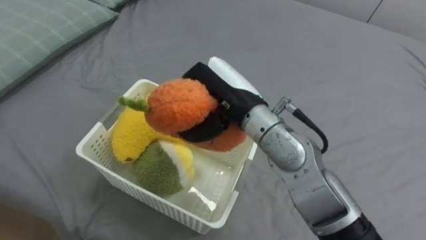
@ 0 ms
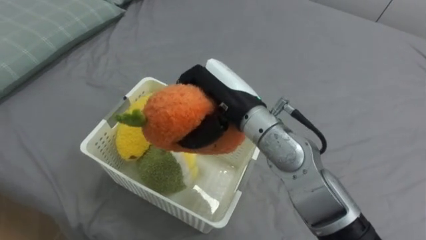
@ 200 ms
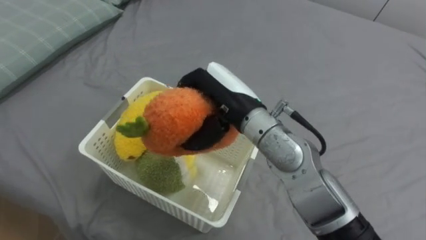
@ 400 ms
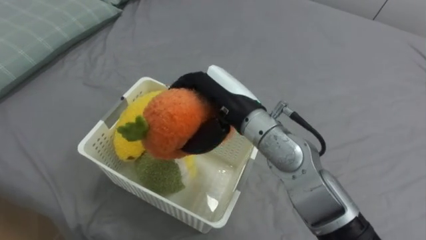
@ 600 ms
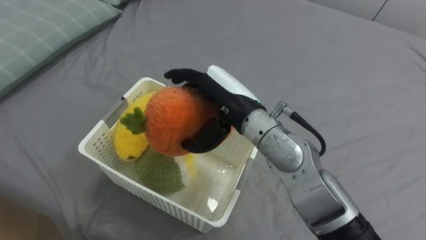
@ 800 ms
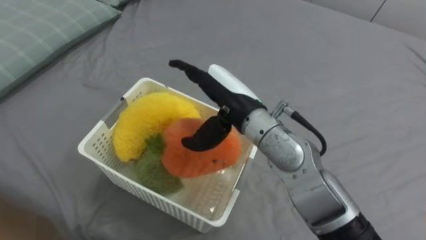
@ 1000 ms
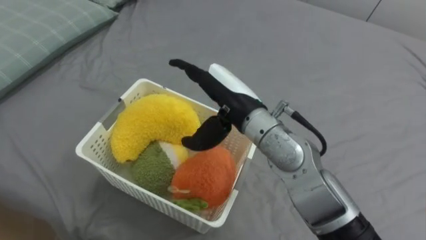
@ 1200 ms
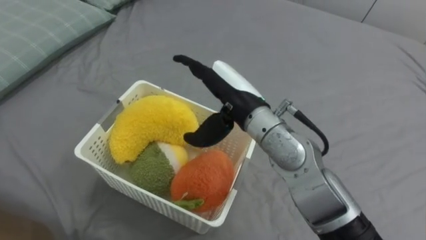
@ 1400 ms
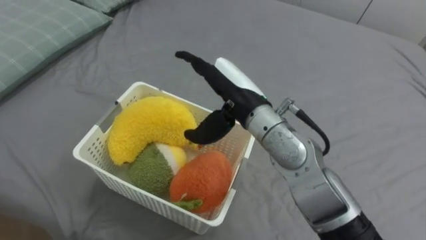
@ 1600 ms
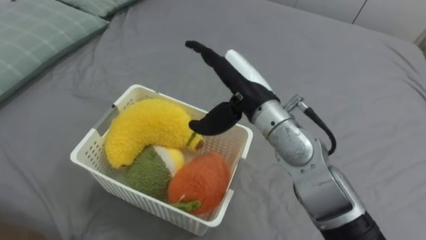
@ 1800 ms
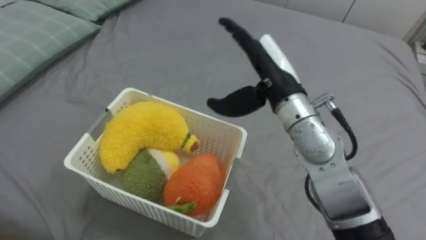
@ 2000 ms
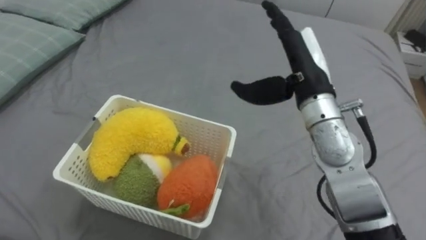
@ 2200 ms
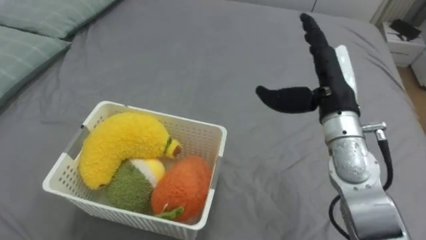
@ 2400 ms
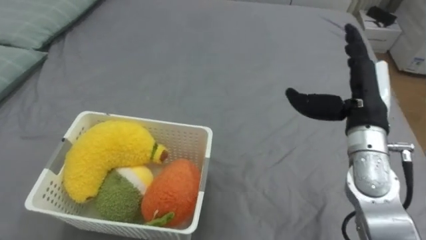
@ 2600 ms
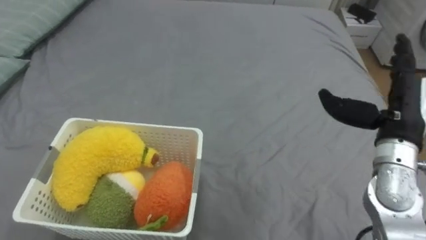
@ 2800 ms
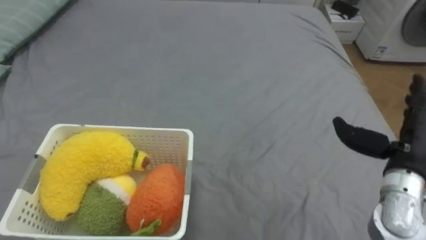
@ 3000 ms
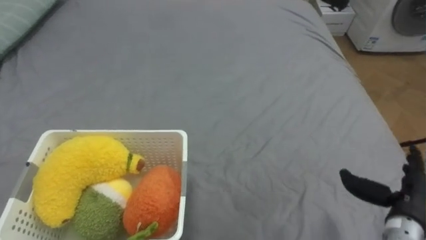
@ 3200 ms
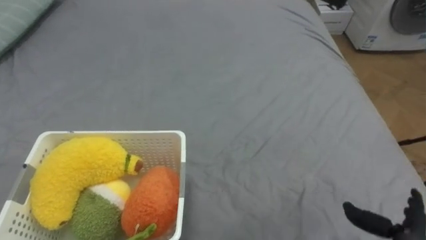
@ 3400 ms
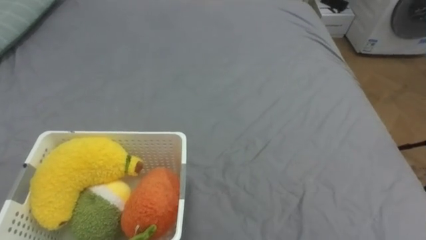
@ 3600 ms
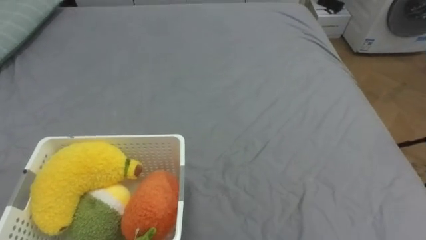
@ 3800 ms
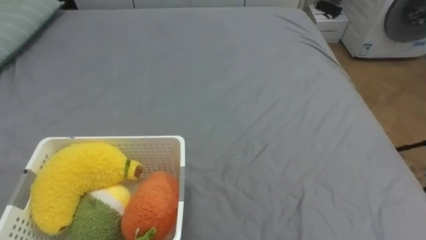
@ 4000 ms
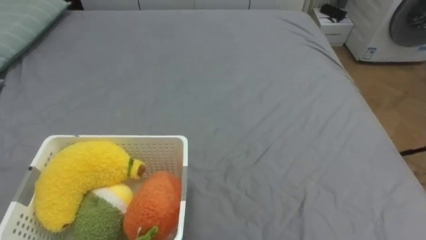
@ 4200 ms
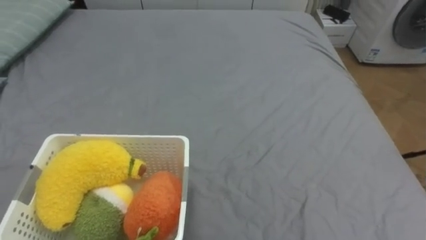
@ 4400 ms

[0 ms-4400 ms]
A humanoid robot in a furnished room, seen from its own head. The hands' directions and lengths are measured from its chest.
Task of the whole recording: Put the toys on the bed into the basket on the left.
0 ms to 1400 ms: The right hand opens.
1400 ms to 3000 ms: The right hand goes some 30 cm to the right.

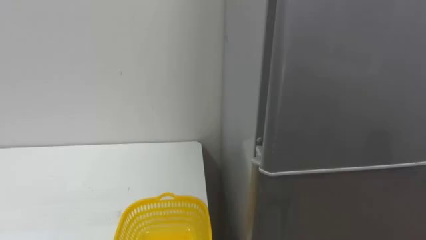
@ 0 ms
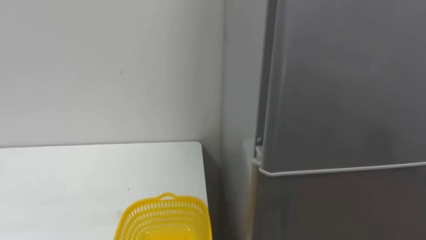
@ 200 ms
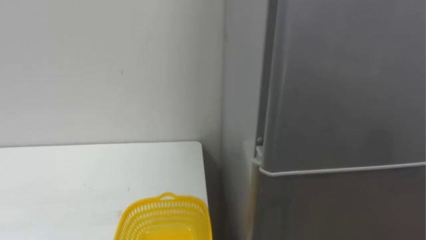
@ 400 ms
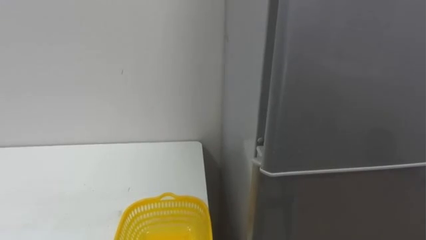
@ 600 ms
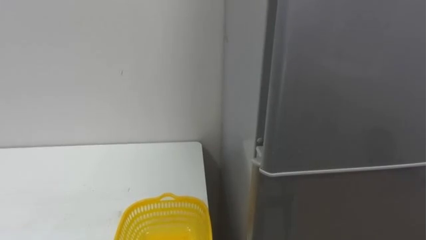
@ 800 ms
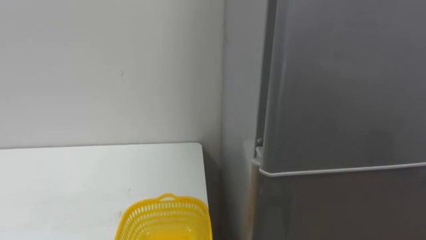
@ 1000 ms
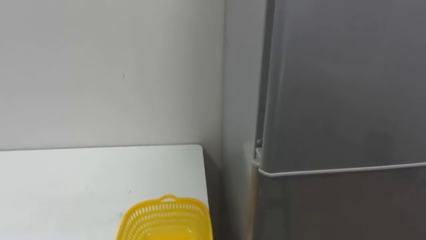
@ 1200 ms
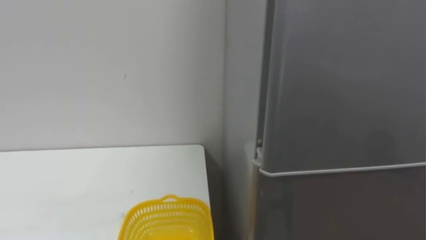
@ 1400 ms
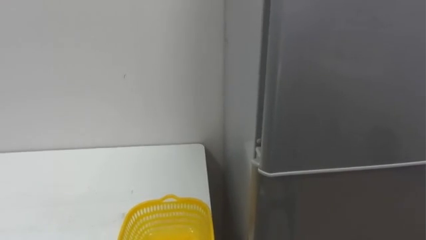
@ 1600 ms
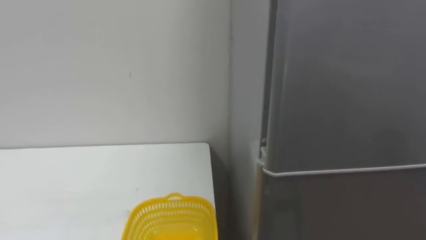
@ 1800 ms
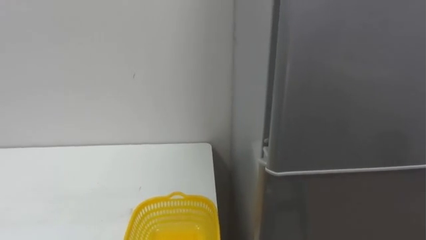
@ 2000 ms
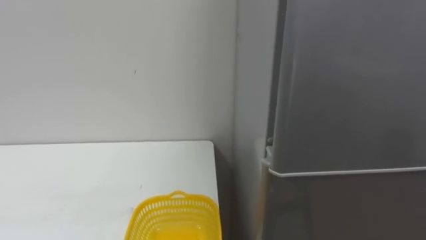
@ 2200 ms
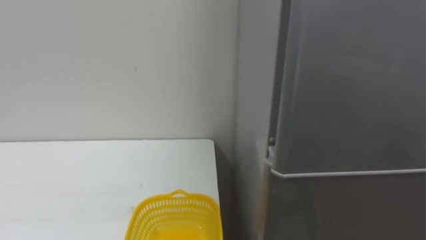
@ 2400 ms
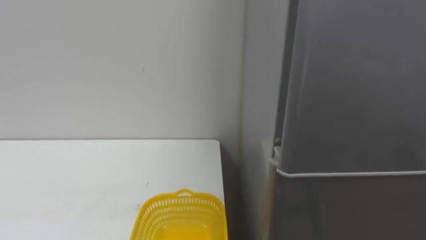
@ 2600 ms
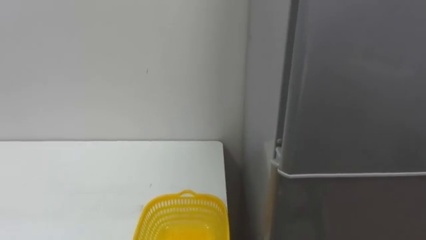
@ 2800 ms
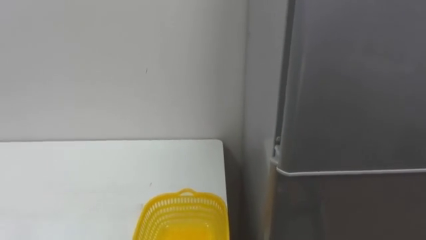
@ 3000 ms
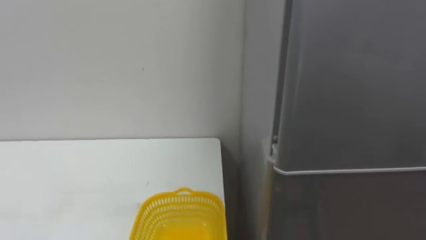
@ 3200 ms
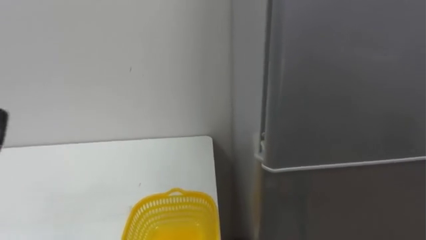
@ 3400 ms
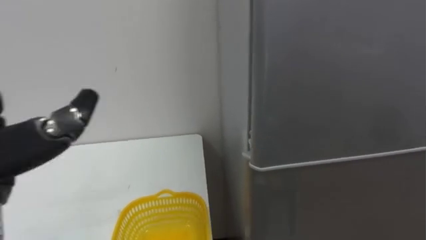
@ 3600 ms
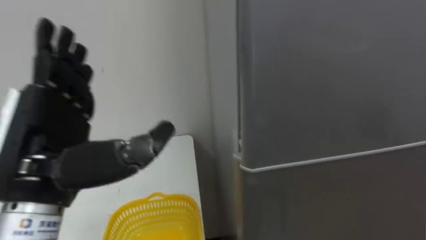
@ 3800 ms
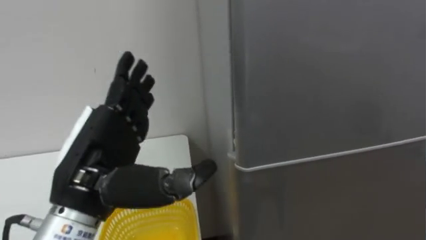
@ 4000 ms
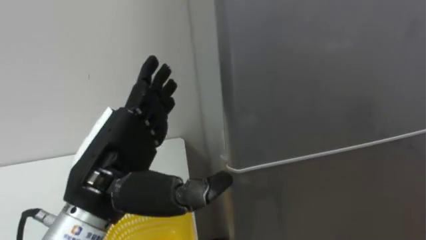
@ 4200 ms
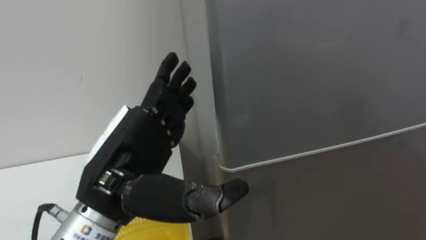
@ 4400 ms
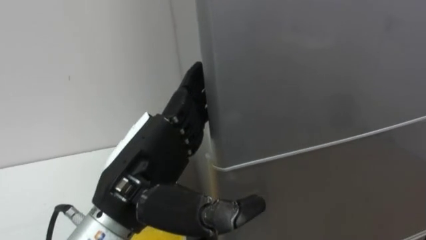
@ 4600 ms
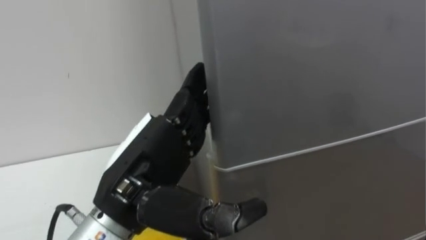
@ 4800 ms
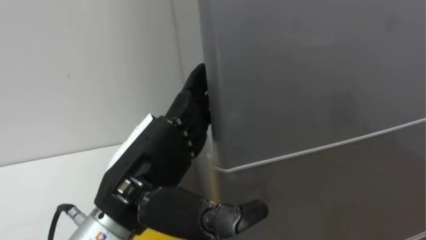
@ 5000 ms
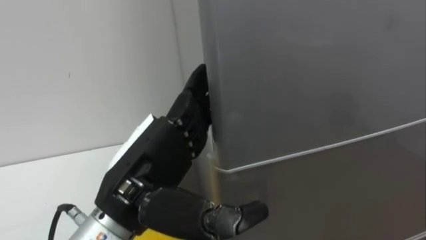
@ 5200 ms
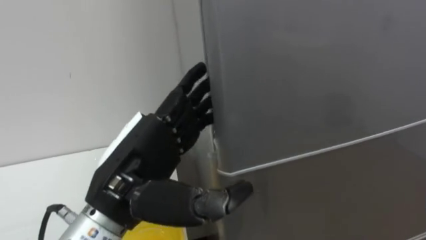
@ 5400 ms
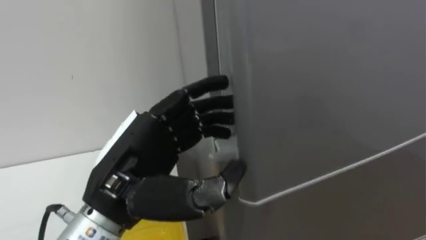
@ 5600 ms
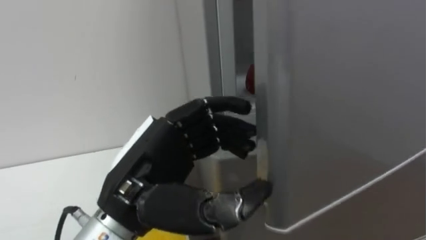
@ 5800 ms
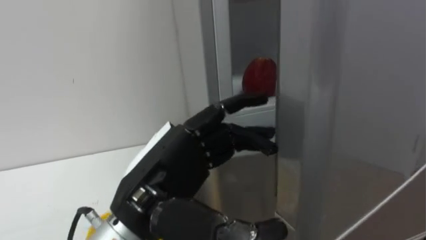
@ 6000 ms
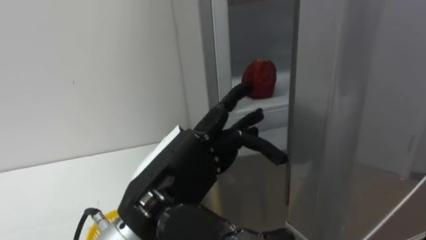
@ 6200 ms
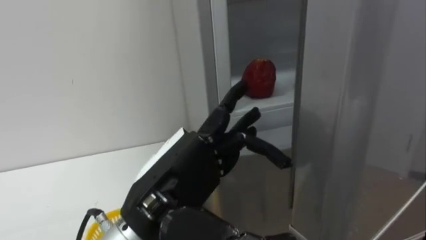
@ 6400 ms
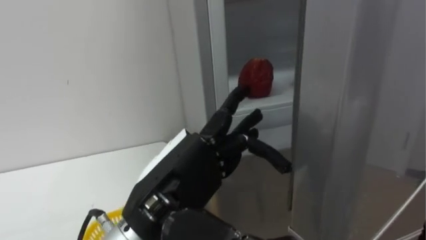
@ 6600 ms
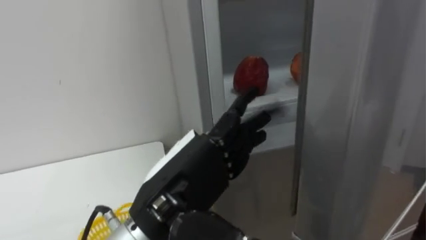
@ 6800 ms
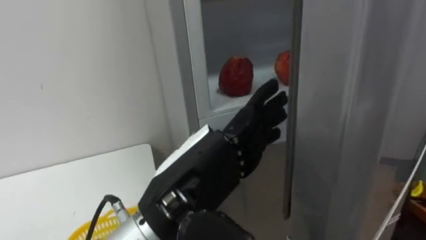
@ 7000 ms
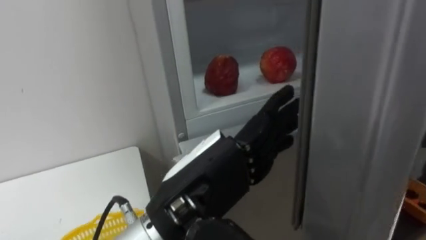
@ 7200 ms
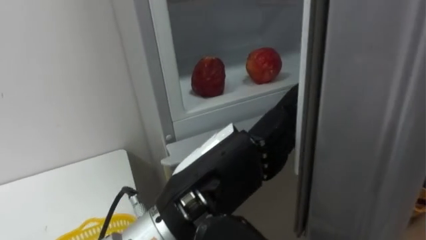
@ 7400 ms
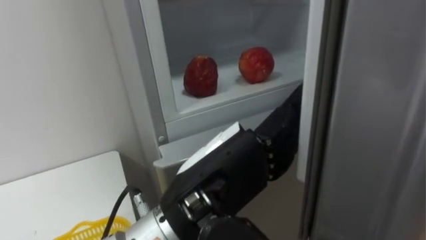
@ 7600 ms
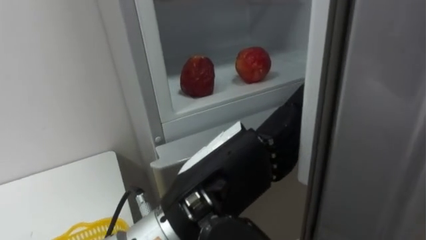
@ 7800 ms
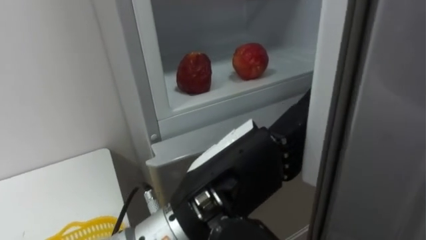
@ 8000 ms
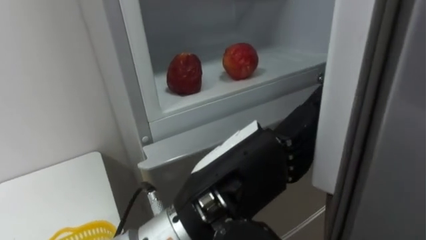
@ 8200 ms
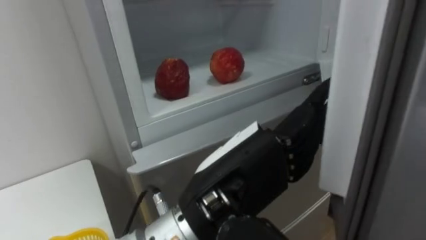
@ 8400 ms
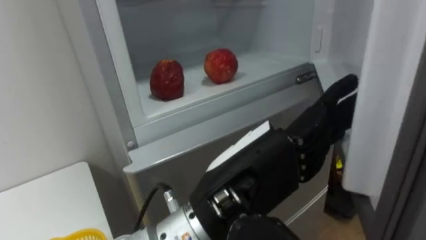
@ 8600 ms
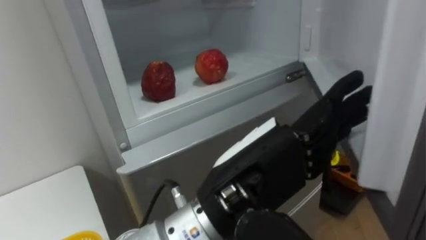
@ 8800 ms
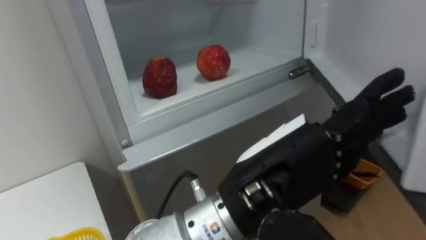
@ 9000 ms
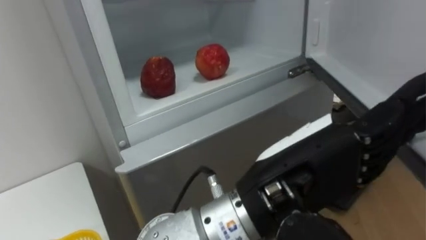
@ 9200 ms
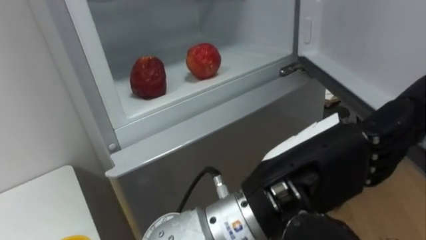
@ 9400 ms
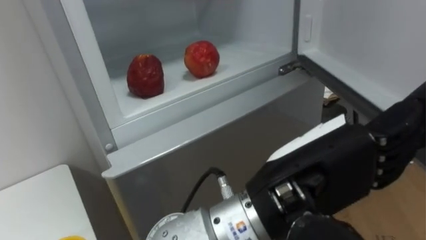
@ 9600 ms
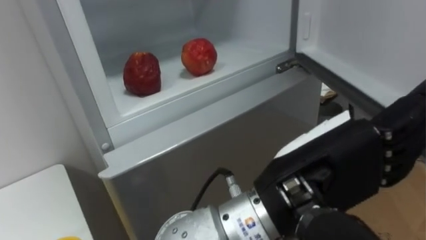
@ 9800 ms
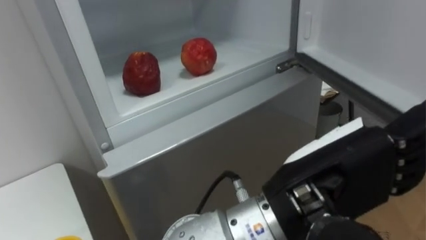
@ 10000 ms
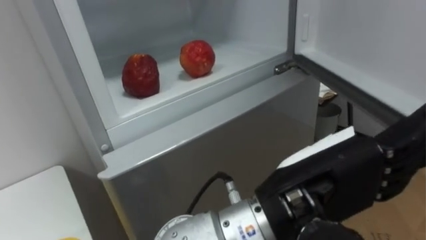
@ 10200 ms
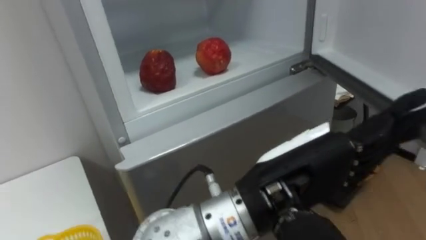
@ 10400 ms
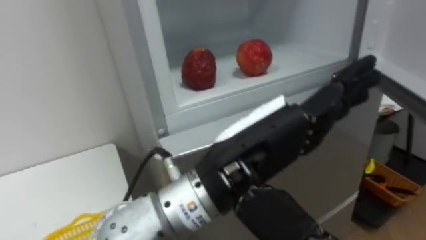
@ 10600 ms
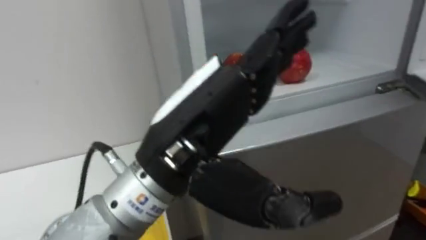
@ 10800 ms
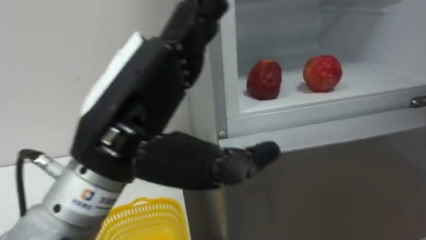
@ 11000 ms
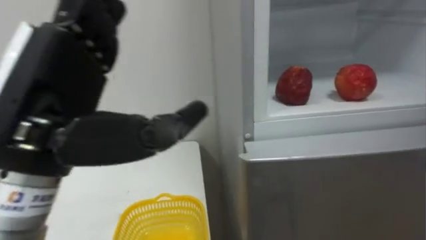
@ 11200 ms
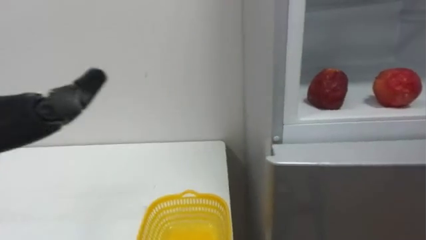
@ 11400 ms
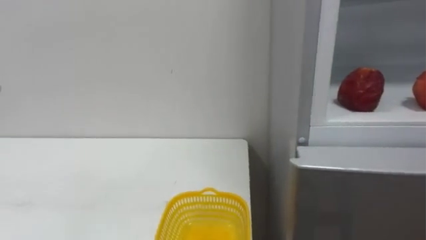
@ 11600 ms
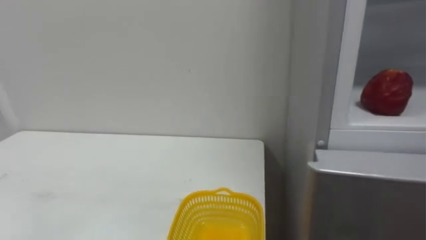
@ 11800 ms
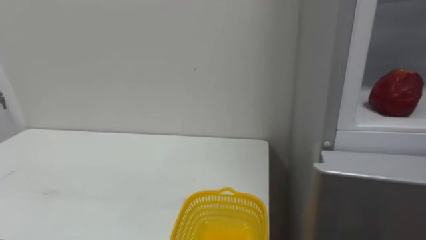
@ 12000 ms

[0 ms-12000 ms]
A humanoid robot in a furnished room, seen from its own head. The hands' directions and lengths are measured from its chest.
Task of the whole recording: Open the refrigerator door, take out the apple and the pomegranate, place them in the fruit basket on the left, and close the refrigerator door.
6000 ms to 7600 ms: The left hand moves to the right, approximately 5 cm.
7600 ms to 9000 ms: The left hand goes about 5 cm to the right.
